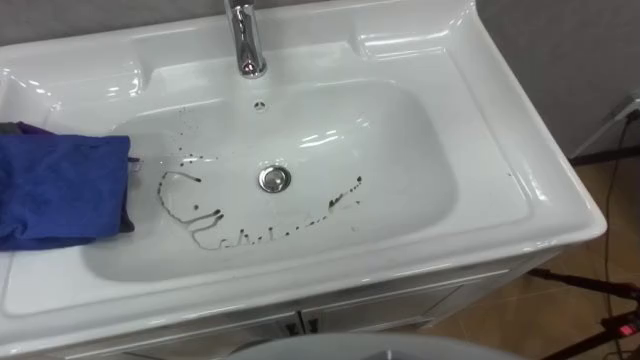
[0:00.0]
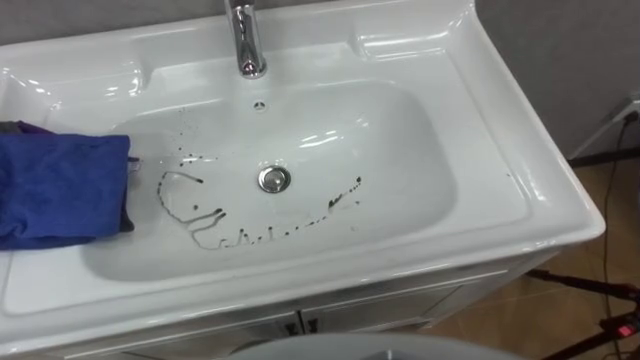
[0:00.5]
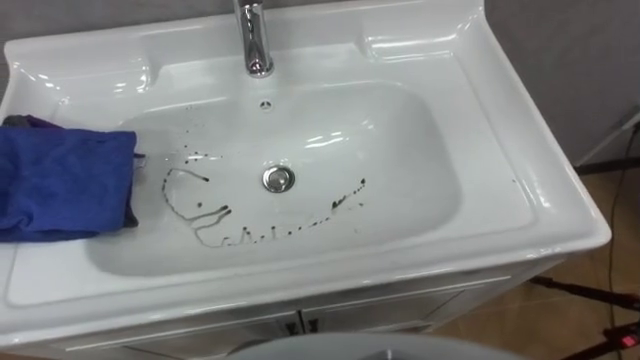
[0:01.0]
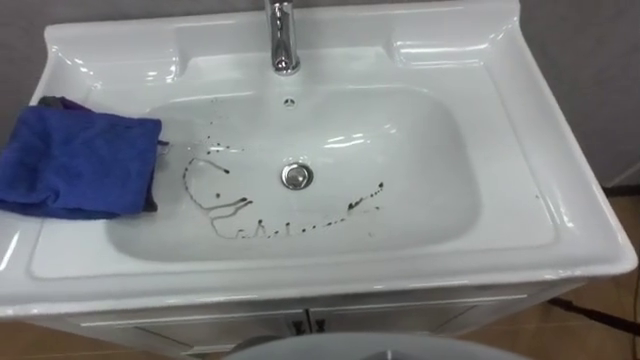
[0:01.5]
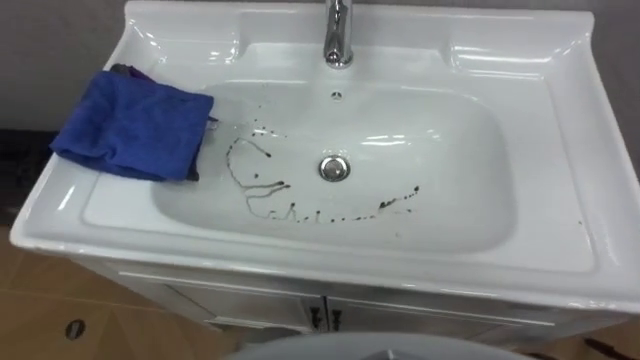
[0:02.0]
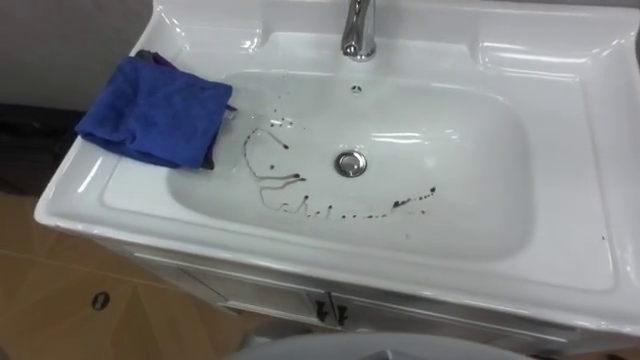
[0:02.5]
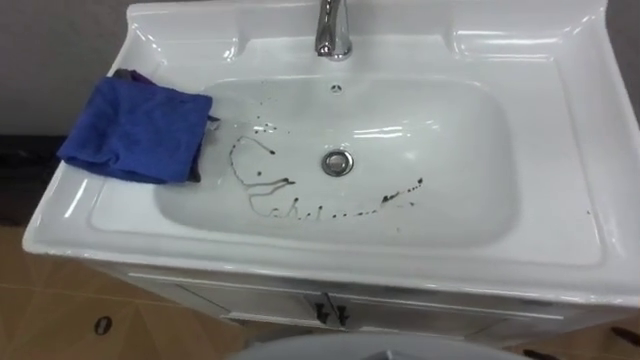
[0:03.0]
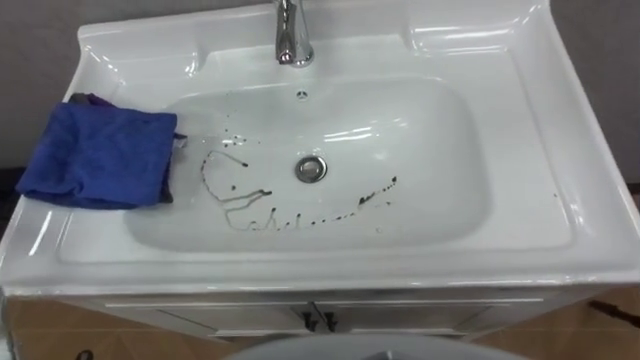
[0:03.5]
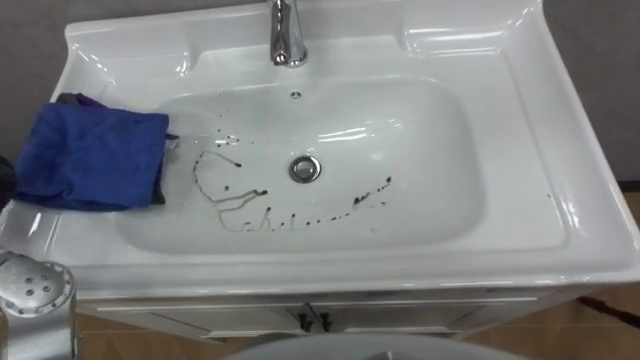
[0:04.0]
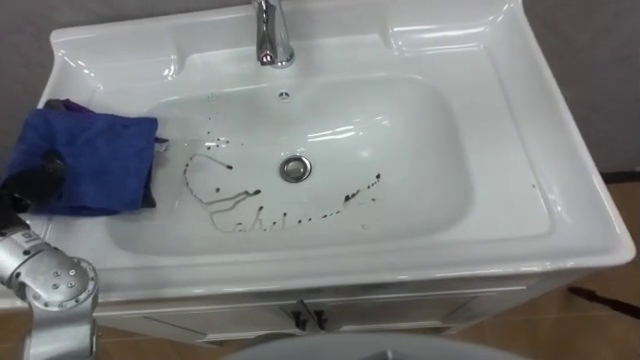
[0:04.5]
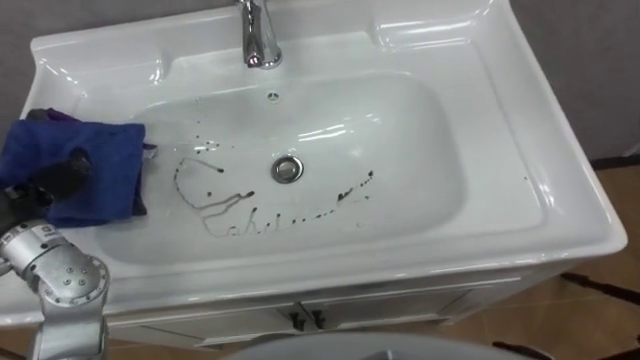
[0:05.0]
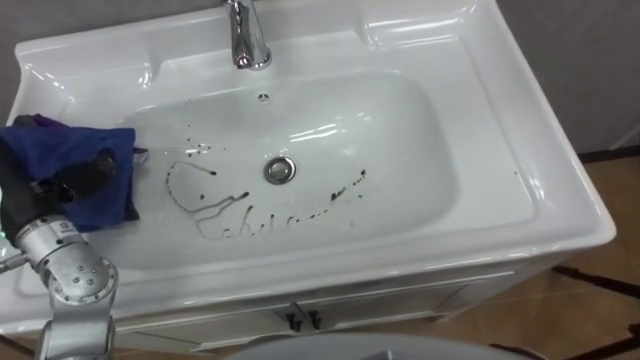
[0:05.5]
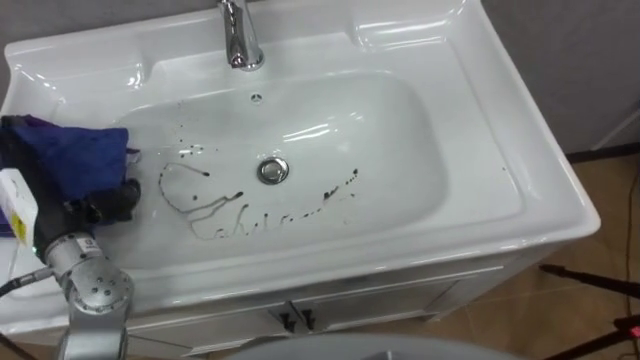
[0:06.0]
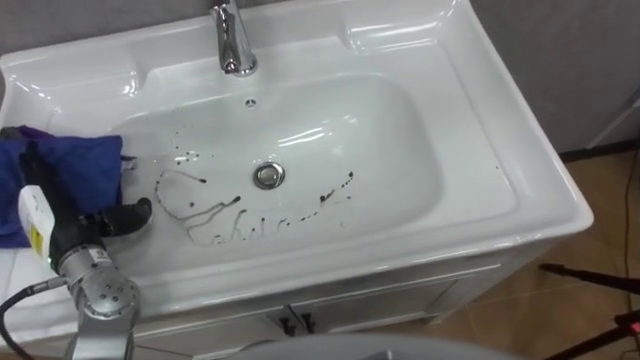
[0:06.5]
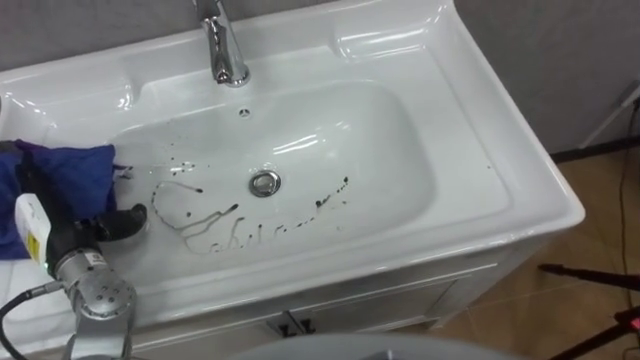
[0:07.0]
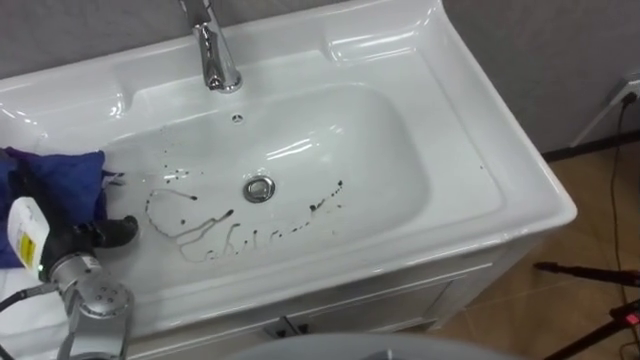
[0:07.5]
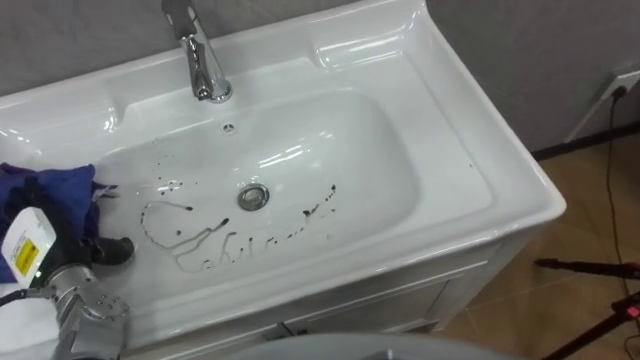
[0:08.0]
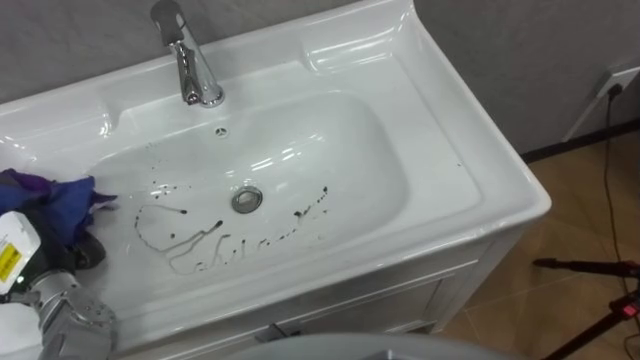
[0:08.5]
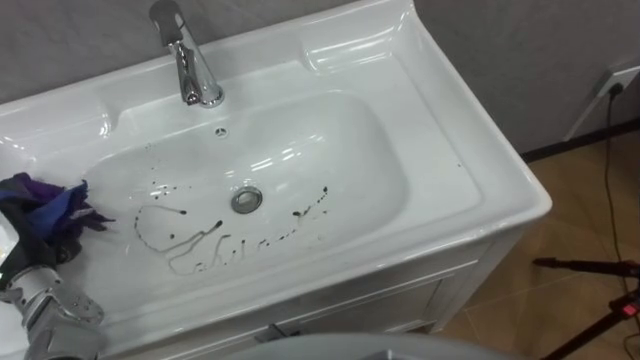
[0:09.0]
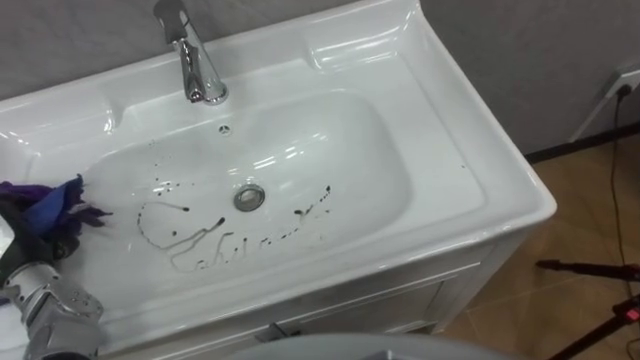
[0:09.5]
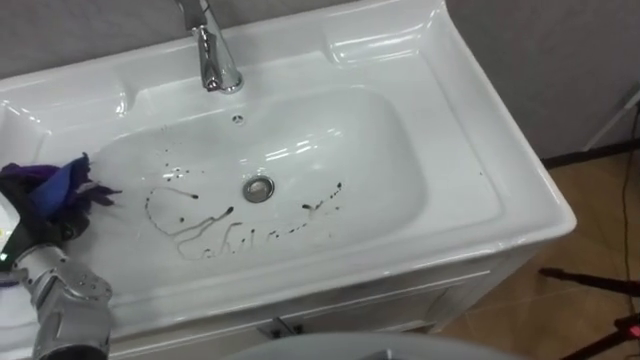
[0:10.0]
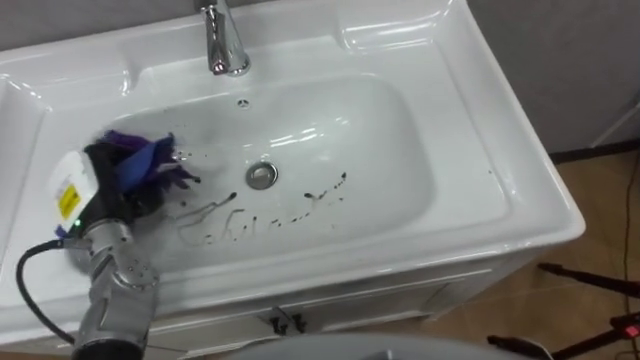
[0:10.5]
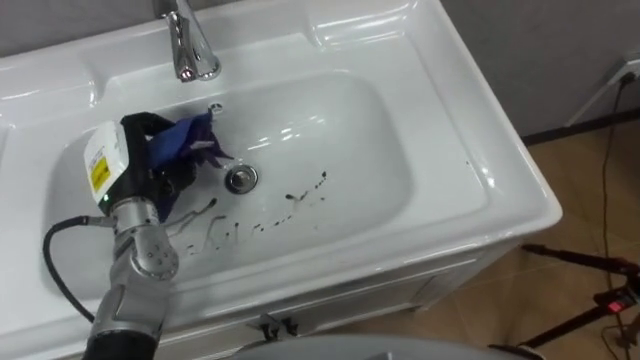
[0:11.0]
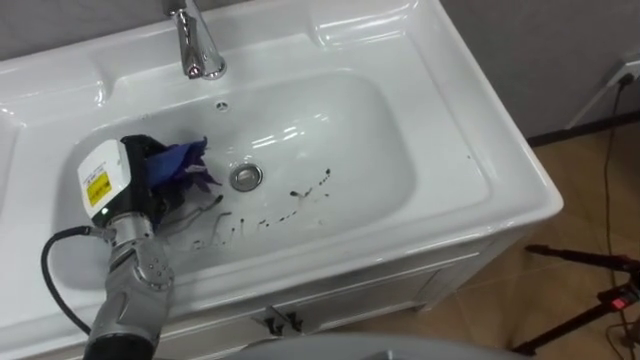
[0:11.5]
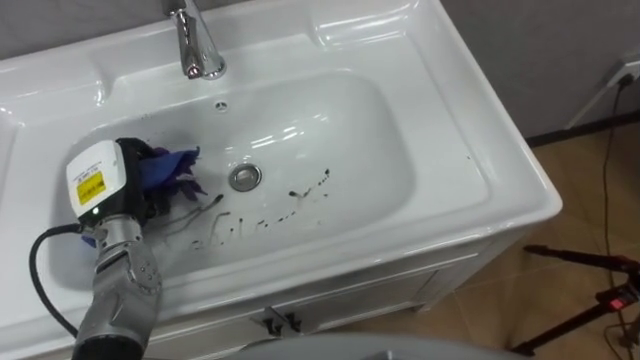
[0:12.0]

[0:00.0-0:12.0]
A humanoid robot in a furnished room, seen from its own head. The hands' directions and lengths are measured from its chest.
Task of the whole recording: Use the cloth on the right to wipe away the black stain in the sink.
0:06.0 to 0:08.0: The left hand goes about 5 cm downward.
0:10.0 to 0:12.0: The left hand shifts roughly 10 cm to the right and forward.

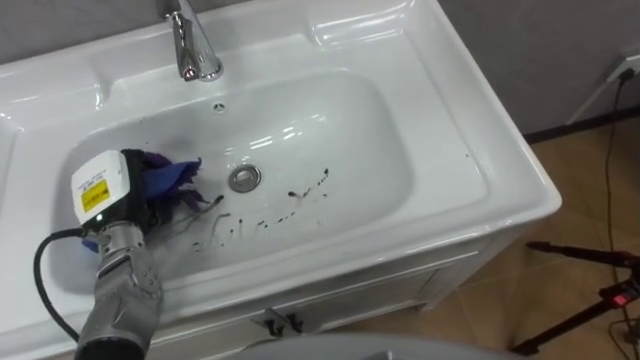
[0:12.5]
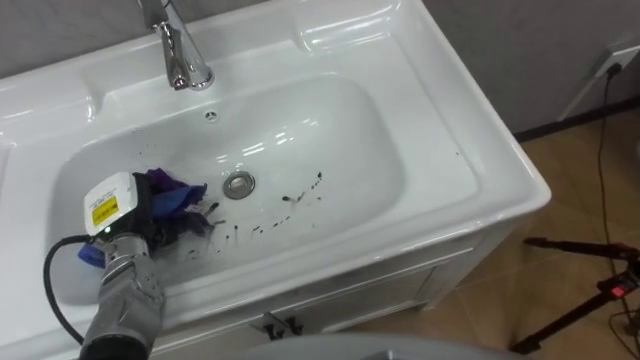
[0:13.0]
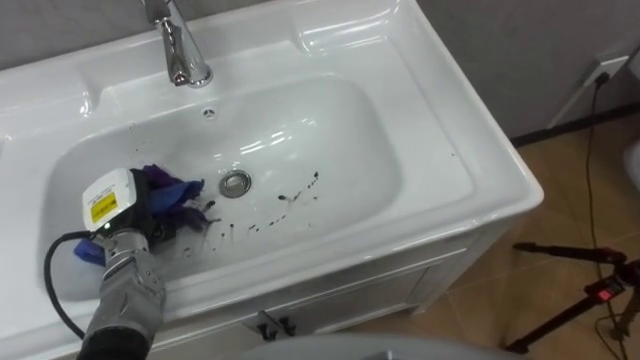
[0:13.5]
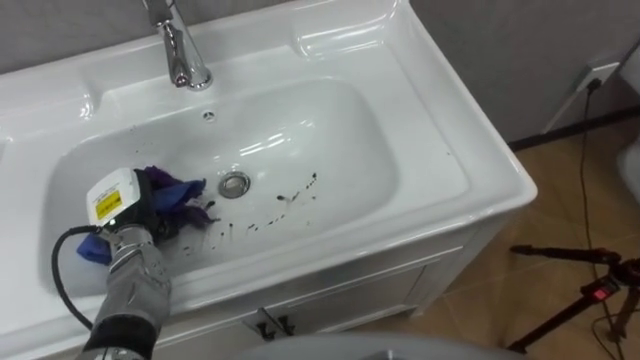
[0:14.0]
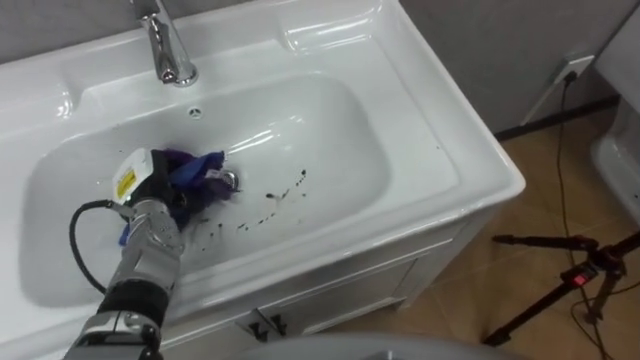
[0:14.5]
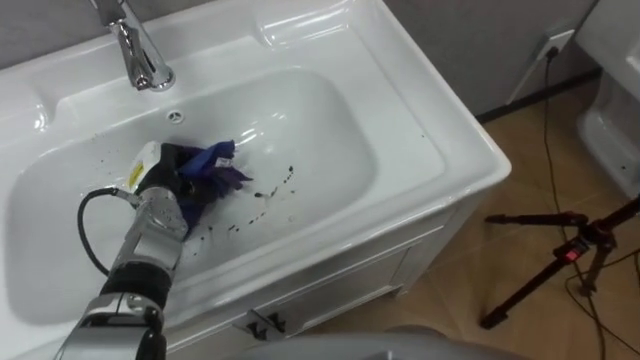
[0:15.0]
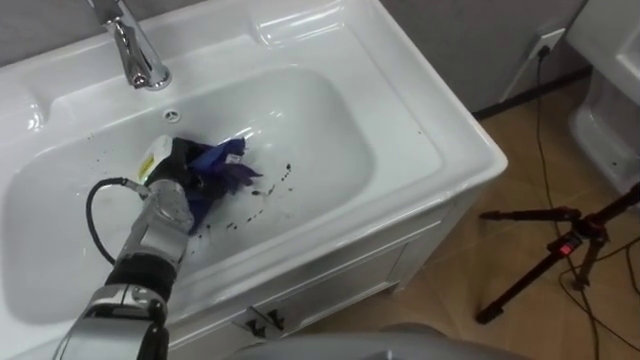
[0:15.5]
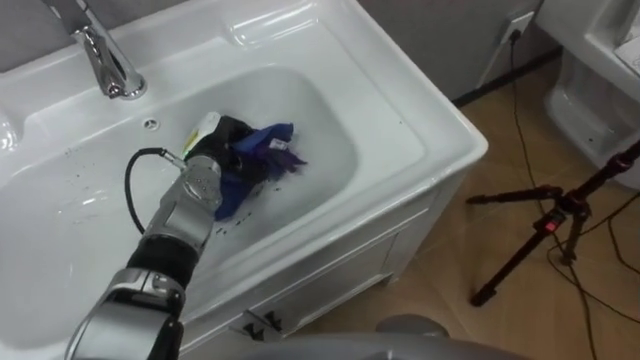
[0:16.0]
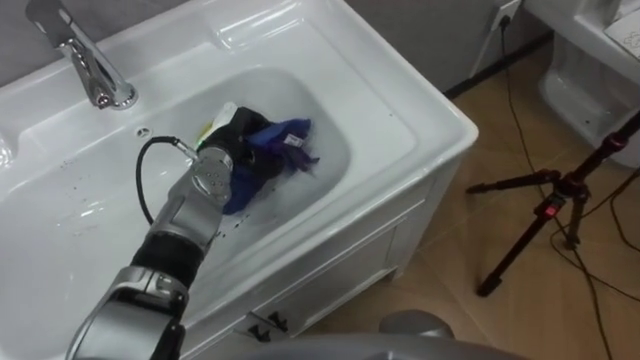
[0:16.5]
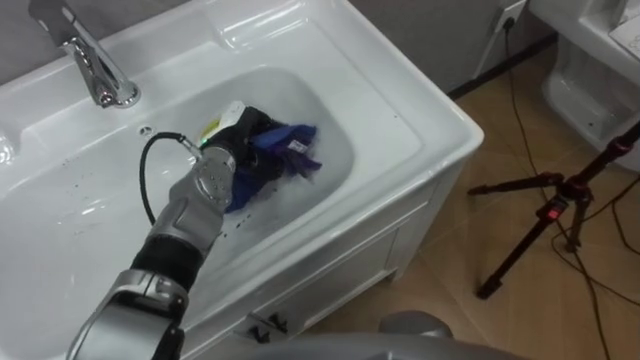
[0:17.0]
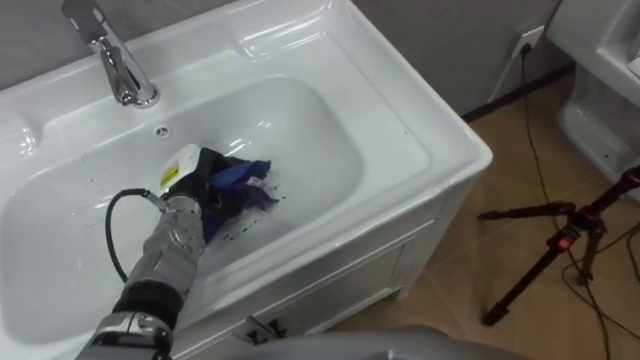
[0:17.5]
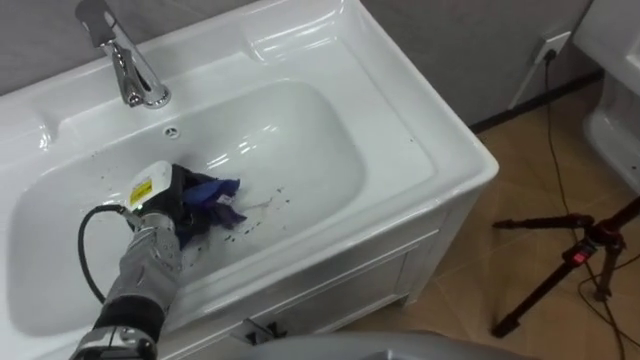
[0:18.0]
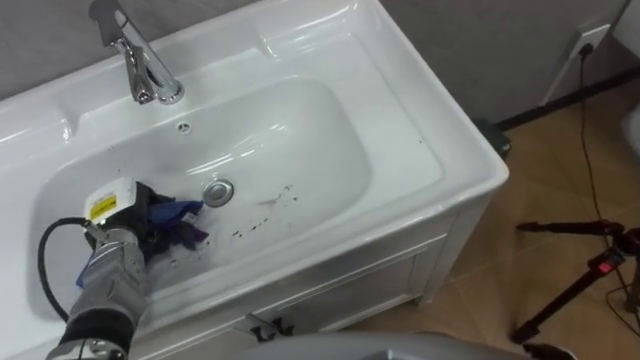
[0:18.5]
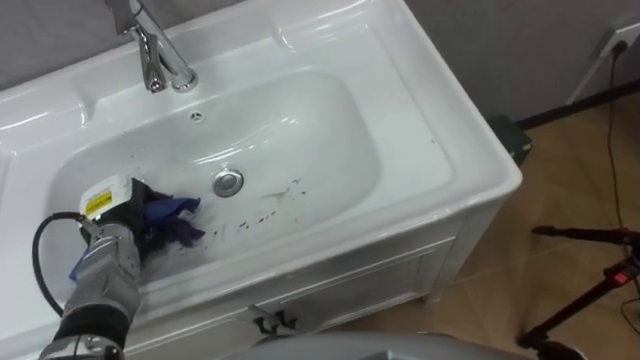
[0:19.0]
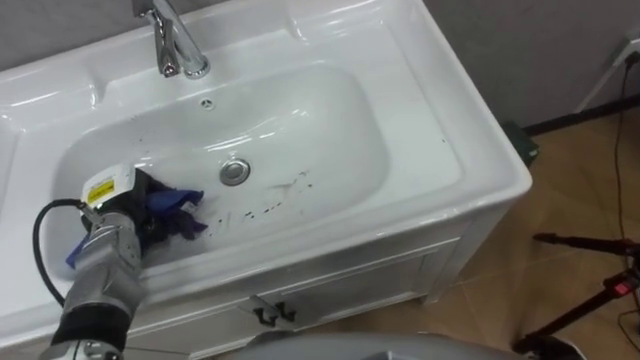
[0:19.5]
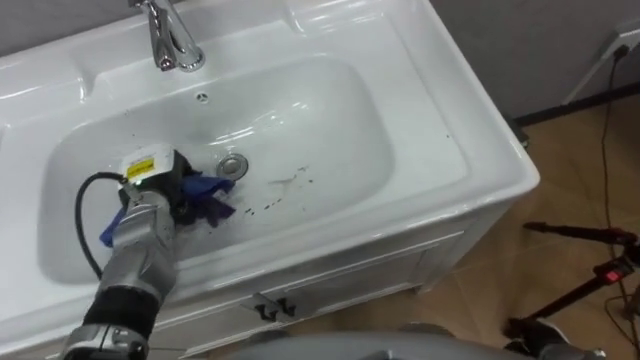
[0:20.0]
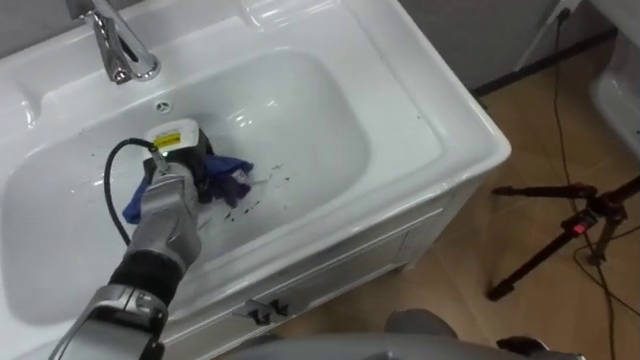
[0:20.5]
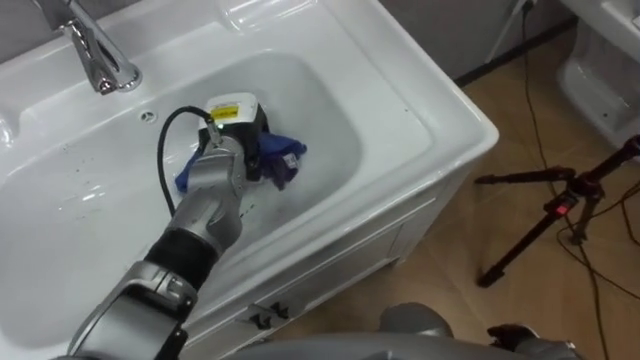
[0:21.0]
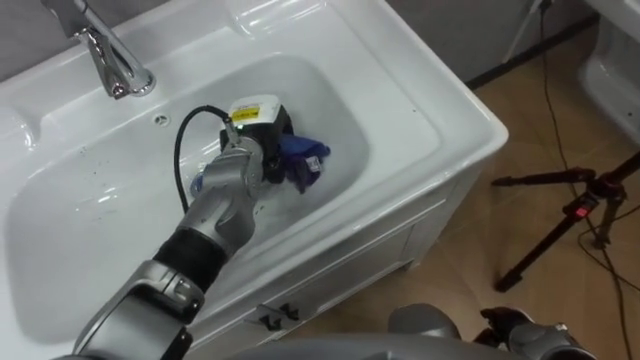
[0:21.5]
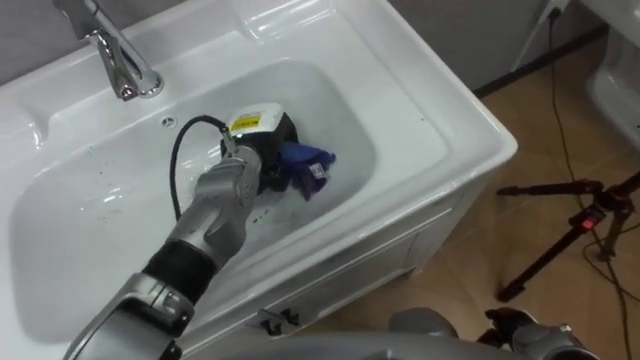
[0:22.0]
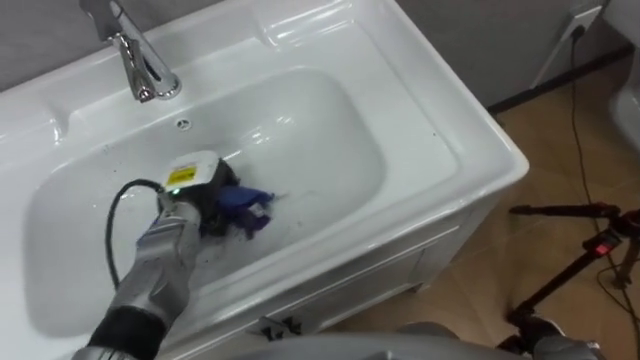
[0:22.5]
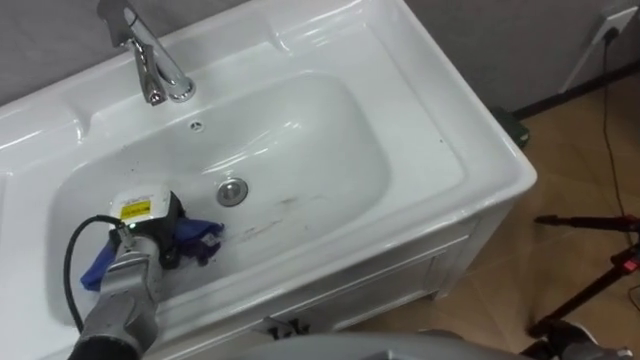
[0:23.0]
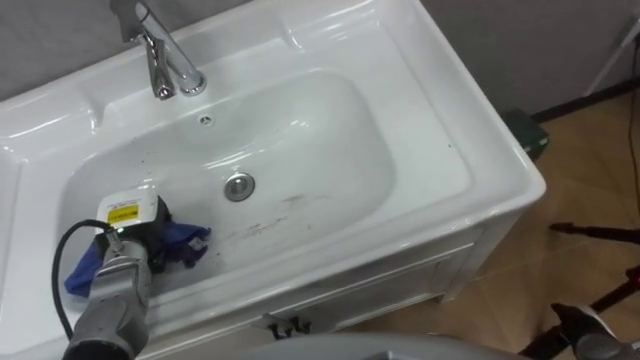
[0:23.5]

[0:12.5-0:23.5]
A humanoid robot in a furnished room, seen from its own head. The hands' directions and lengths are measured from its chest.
Task of the whole recording: Use the cloth on the right to wipe away the black stain in the sink.
0:12.5 to 0:14.5: The left hand changes place by some 5 cm.
0:14.5 to 0:16.0: The left hand moves to the right and forward, roughly 10 cm.
0:16.0 to 0:18.0: The left hand travels to the left and backward by some 10 cm.
0:20.0 to 0:21.5: The left hand shifts roughly 15 cm to the right.
0:21.5 to 0:23.5: The left hand heads to the left and backward, covering roughly 25 cm.
